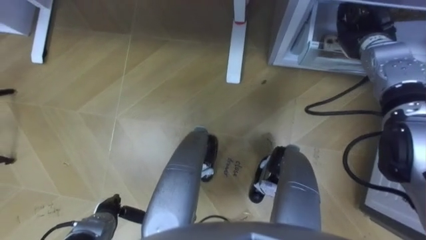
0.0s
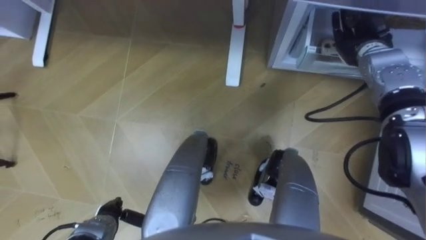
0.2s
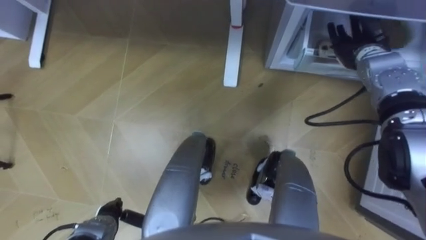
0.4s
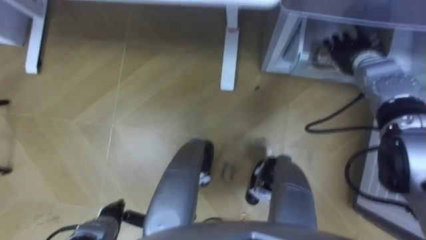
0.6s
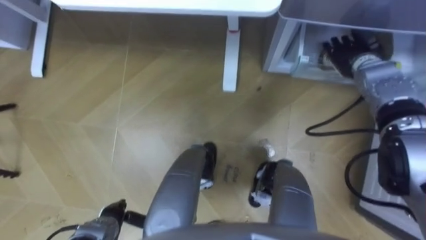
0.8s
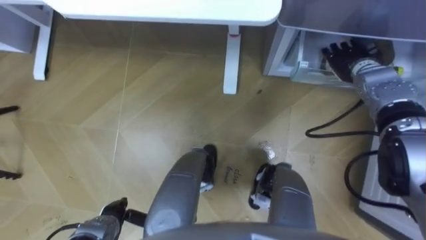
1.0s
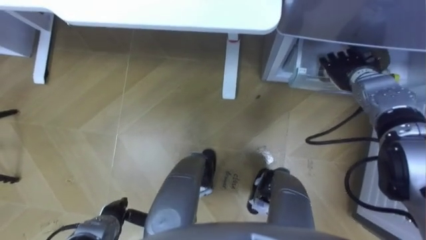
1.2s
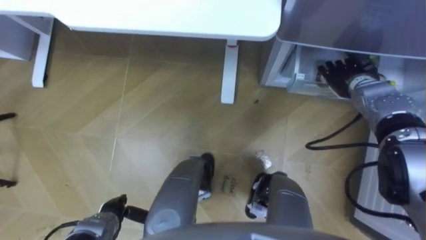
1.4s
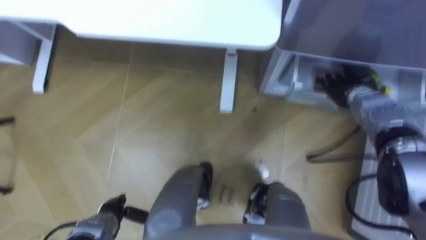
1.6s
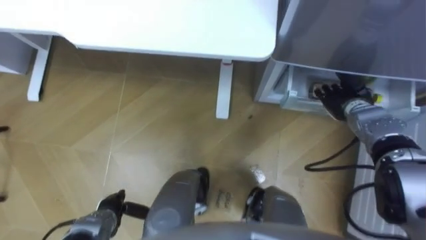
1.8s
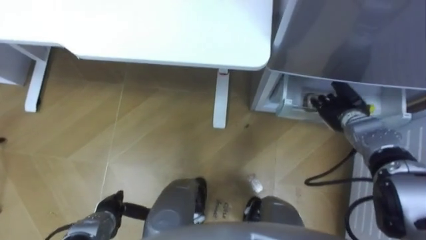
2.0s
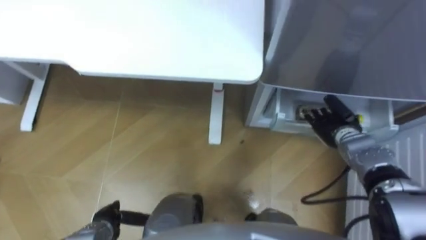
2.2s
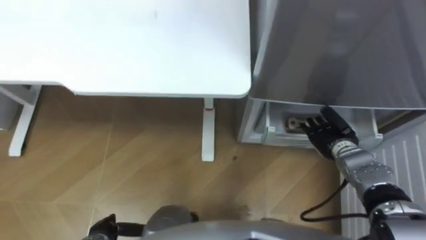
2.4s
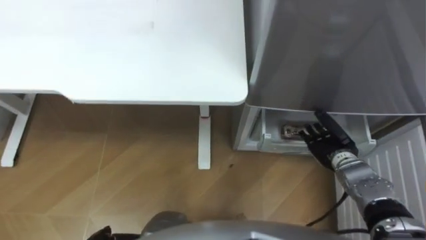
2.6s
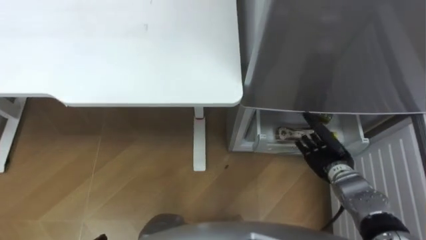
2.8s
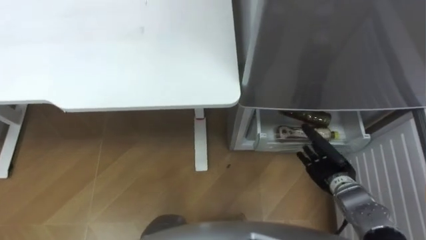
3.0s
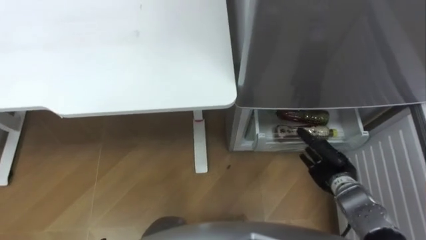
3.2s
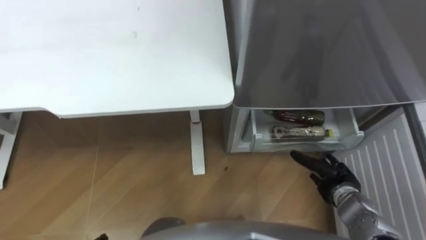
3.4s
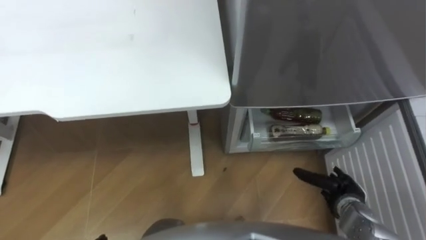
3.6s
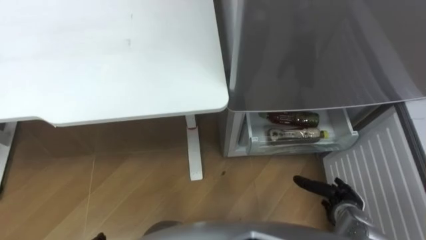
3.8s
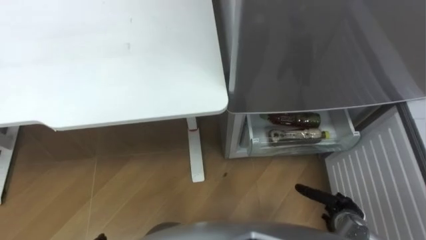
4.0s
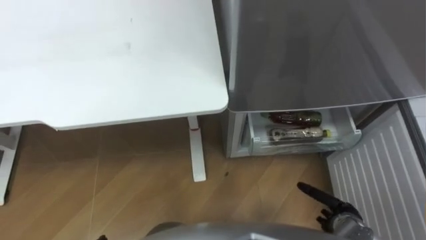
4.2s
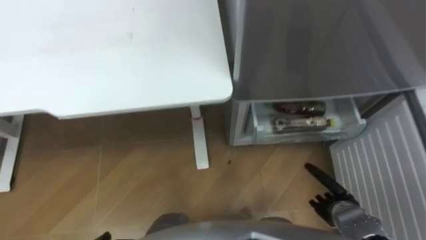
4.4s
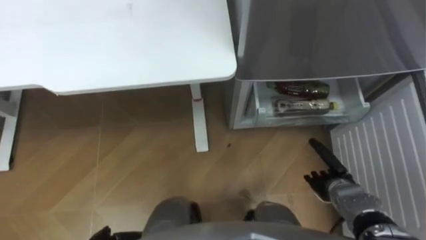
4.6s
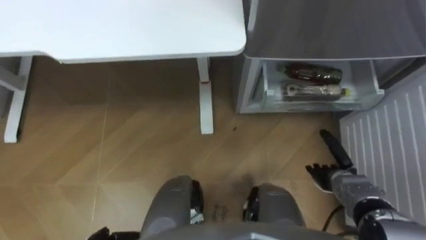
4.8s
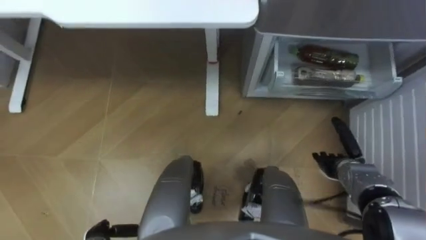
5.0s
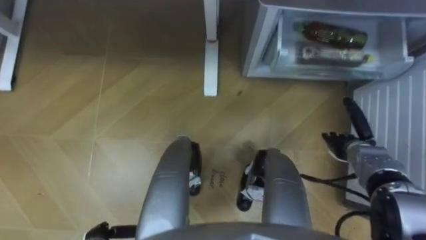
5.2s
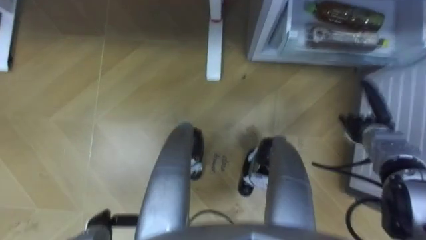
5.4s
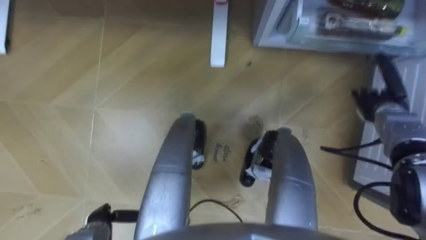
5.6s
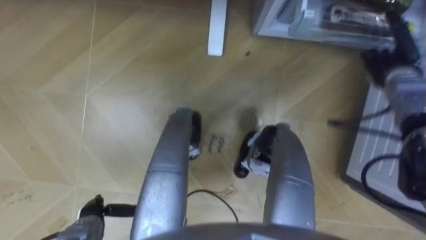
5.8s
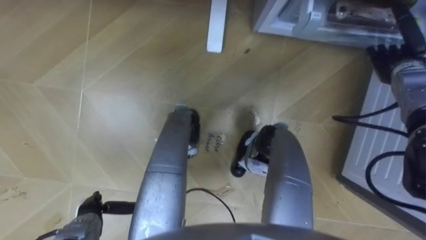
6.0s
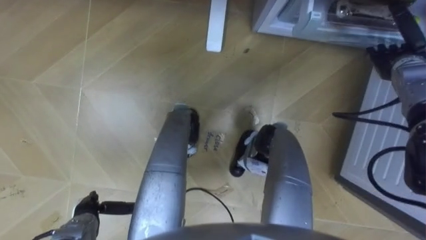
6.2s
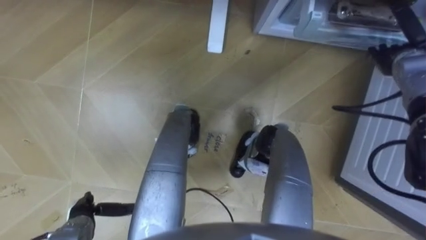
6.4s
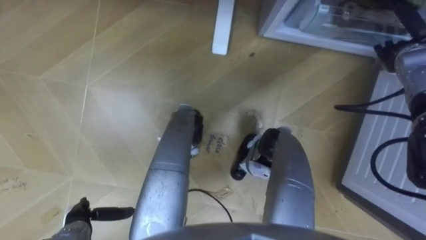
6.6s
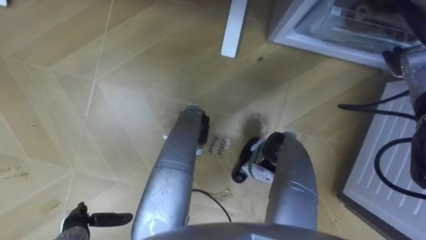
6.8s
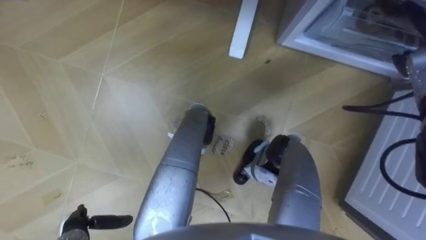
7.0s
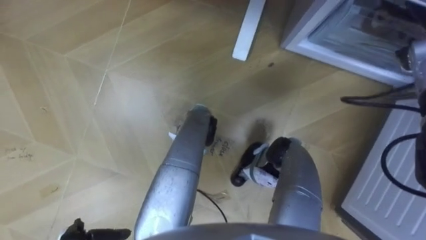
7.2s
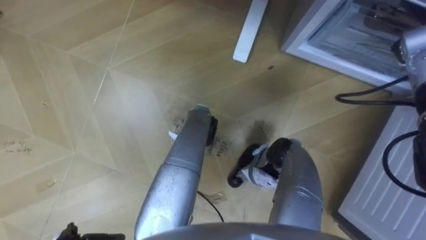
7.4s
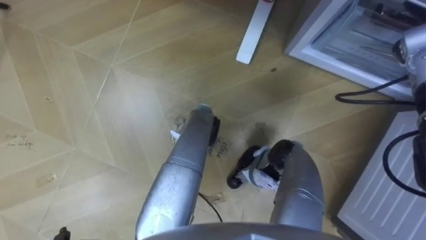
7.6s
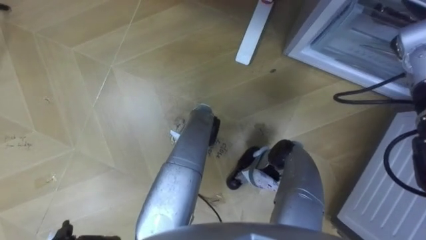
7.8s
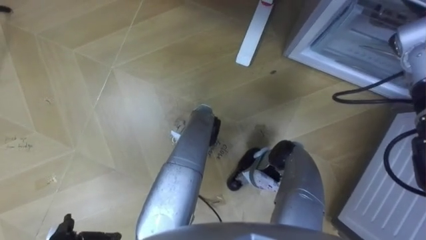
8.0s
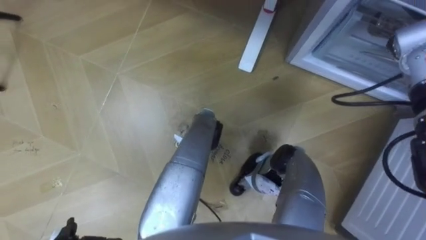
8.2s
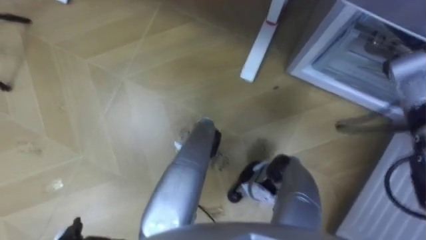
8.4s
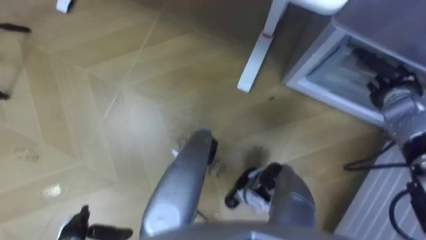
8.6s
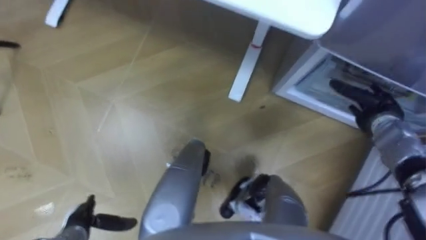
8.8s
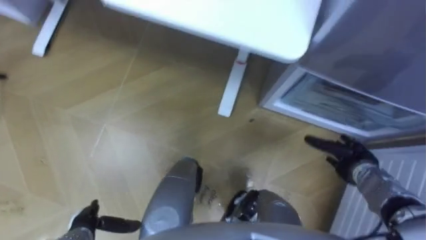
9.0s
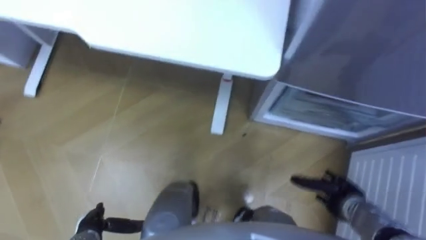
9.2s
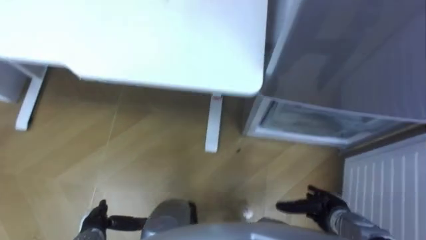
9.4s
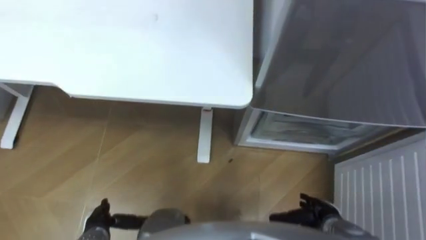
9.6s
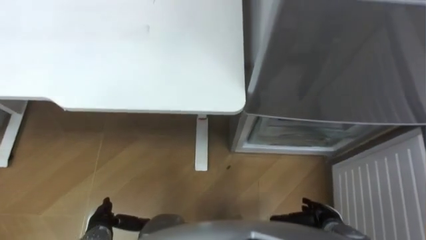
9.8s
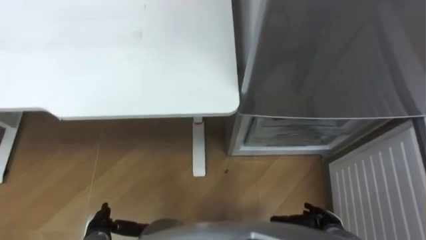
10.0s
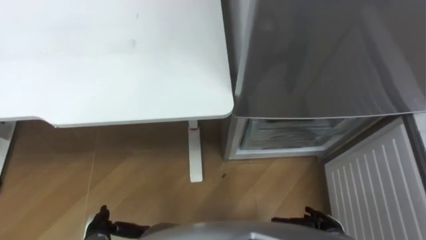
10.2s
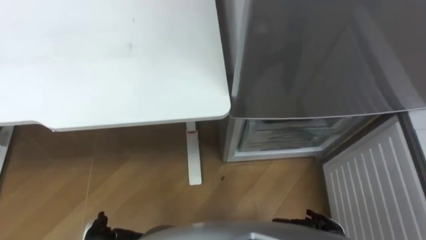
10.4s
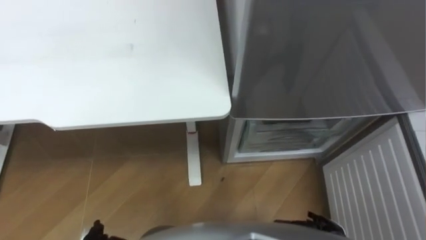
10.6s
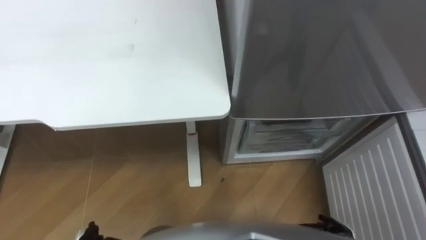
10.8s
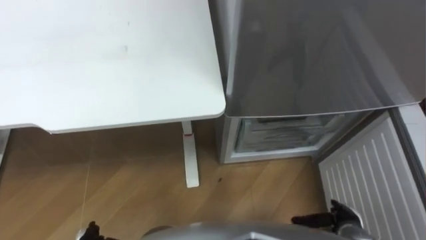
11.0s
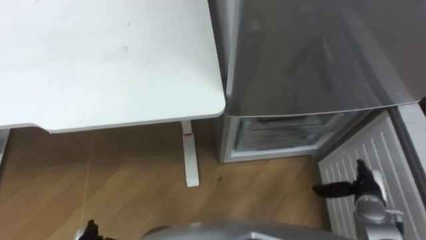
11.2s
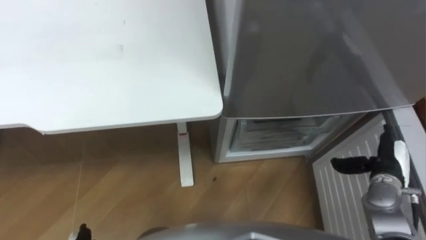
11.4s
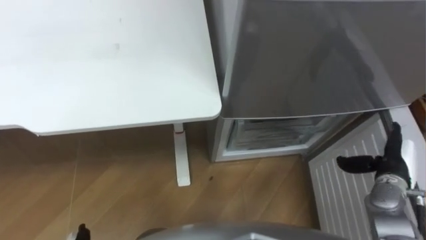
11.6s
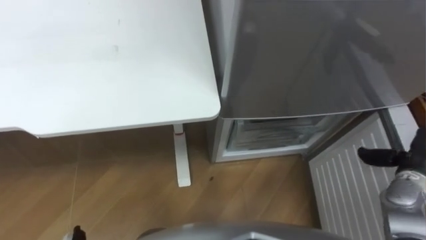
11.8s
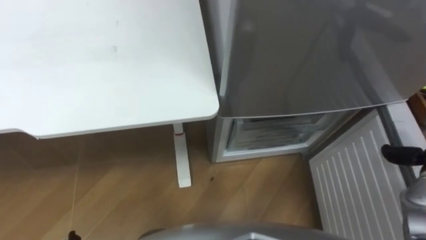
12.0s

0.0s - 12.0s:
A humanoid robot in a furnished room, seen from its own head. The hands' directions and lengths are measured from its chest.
Task of the whole recording: Place the drink on the table on the bottom shelf of the refrigerator, then close the drawer and the refrigerator door.
0.0s - 1.6s: The right hand goes roughly 10 cm downward and backward, and opens.
1.6s - 3.0s: The right hand moves backward and downward, some 20 cm.
3.0s - 4.4s: The right hand moves backward, some 10 cm.
4.4s - 6.0s: The right hand goes about 35 cm forward and upward.
6.0s - 7.6s: The right hand goes approximately 5 cm upward.
7.6s - 9.0s: The right hand shifts about 25 cm downward and backward.
9.0s - 10.4s: The right hand heads backward, downward and to the left, covering about 20 cm.
